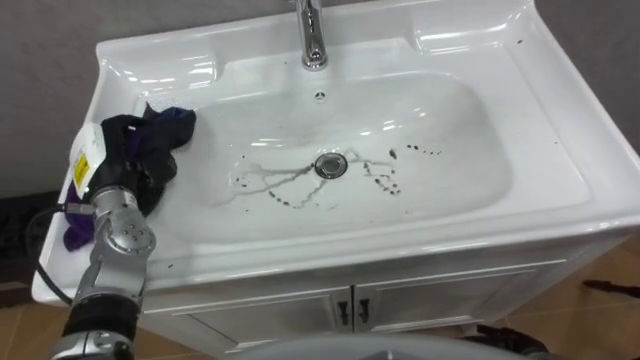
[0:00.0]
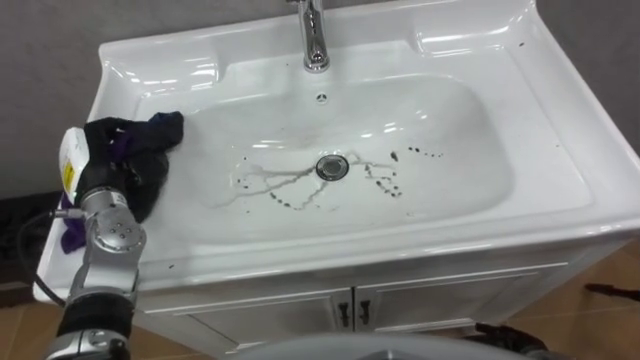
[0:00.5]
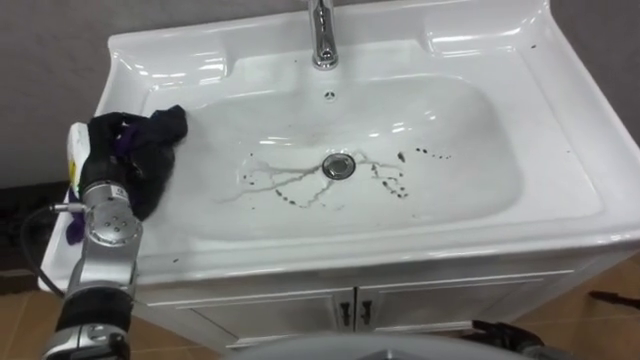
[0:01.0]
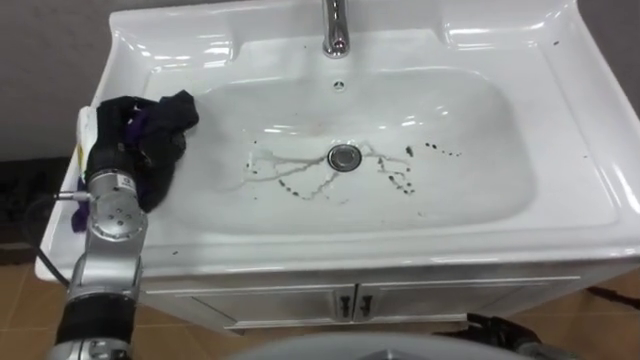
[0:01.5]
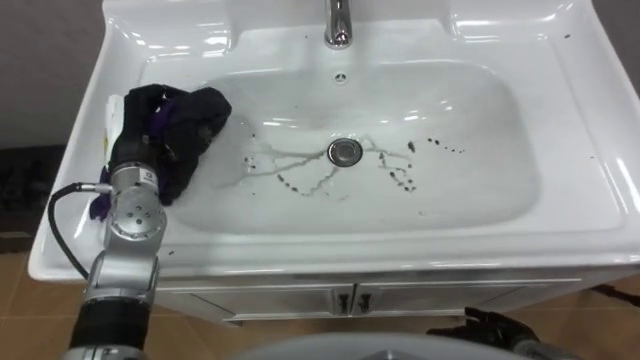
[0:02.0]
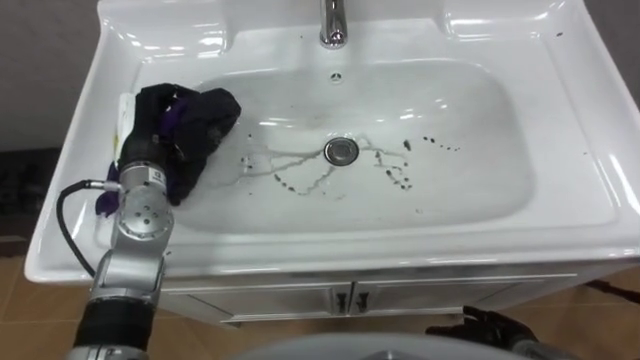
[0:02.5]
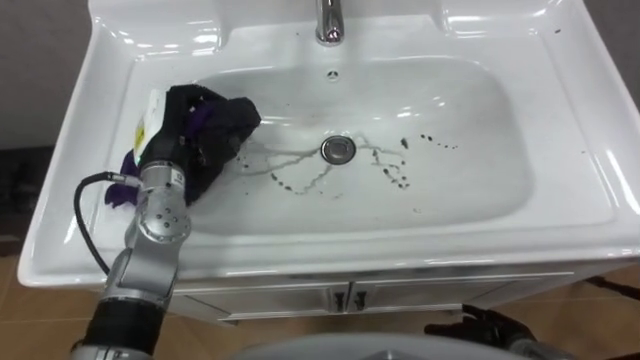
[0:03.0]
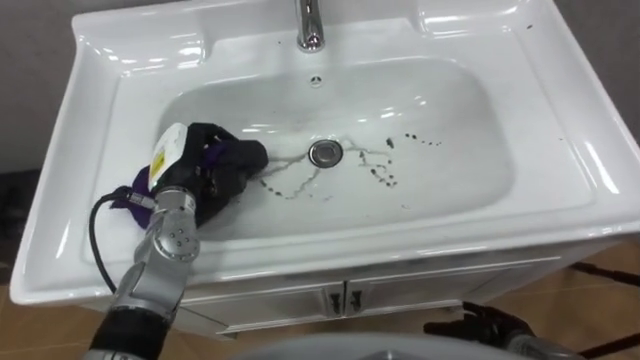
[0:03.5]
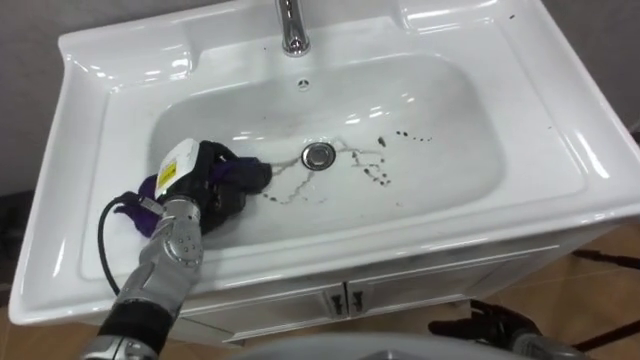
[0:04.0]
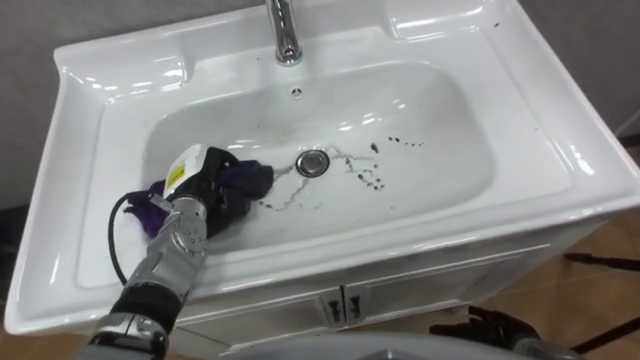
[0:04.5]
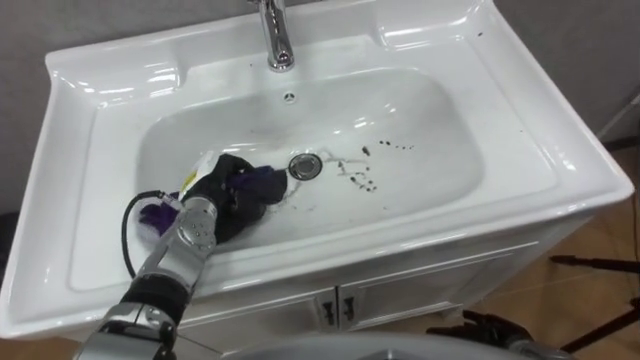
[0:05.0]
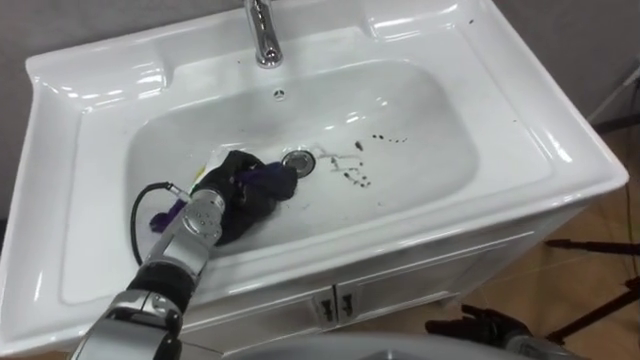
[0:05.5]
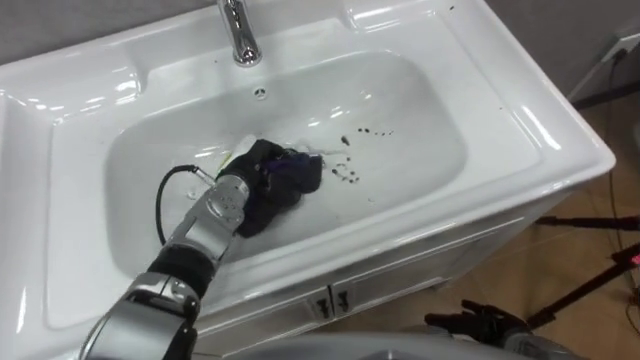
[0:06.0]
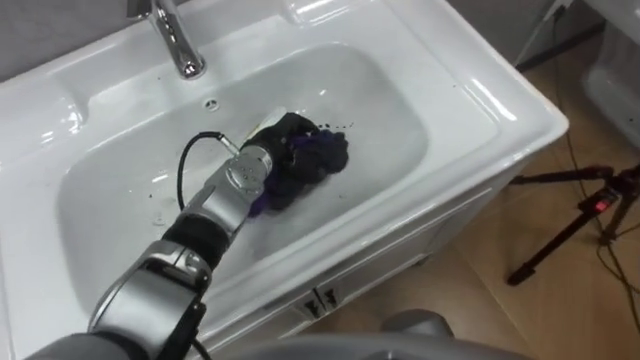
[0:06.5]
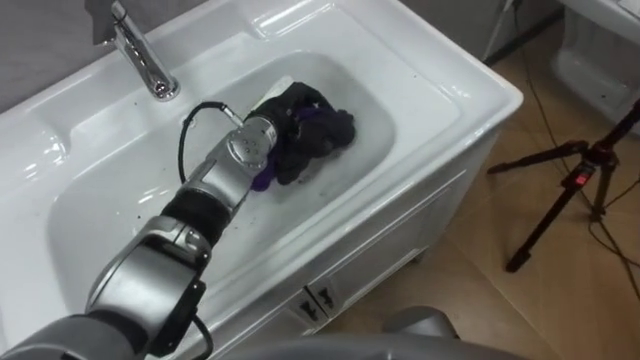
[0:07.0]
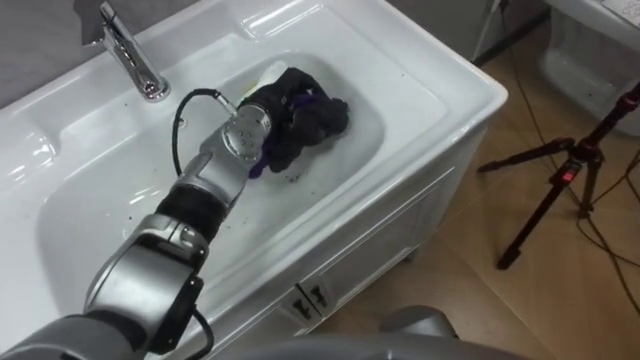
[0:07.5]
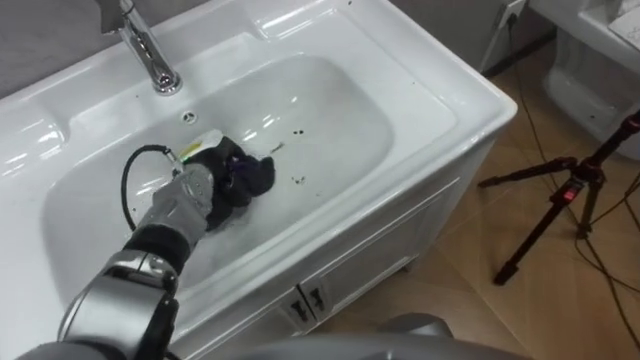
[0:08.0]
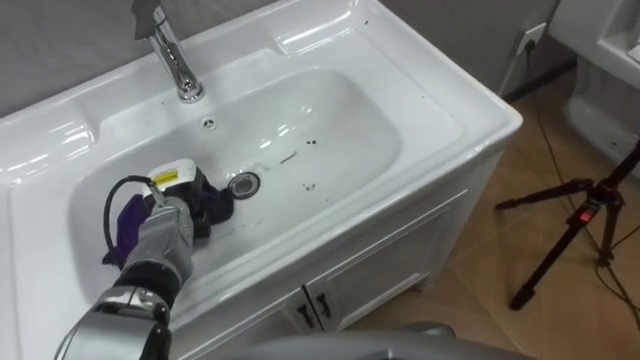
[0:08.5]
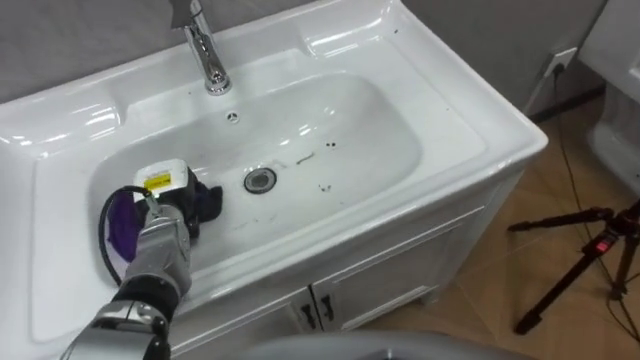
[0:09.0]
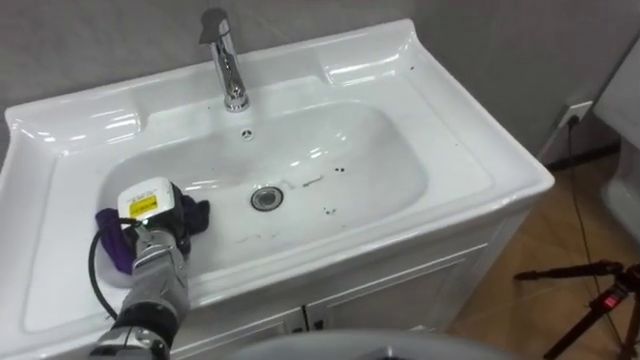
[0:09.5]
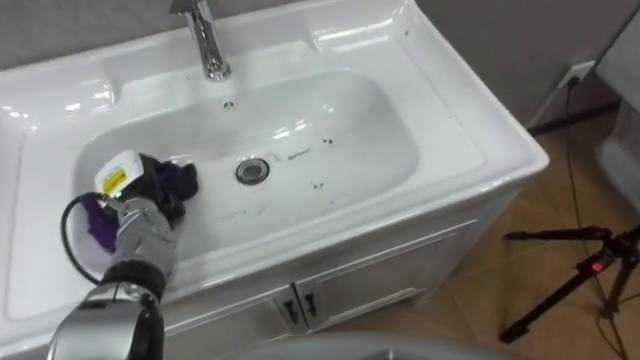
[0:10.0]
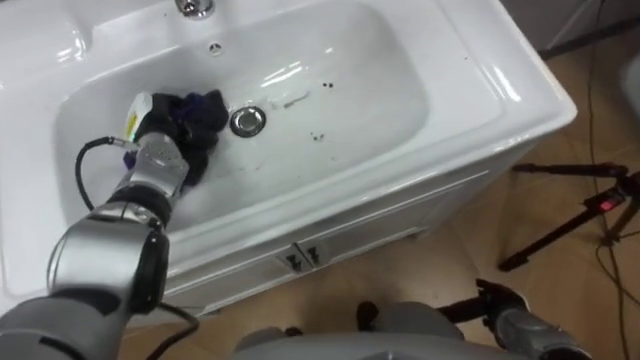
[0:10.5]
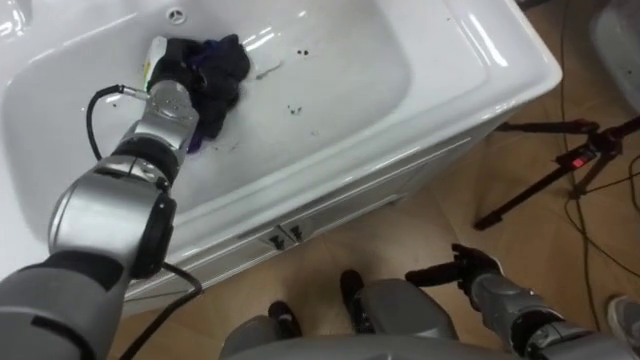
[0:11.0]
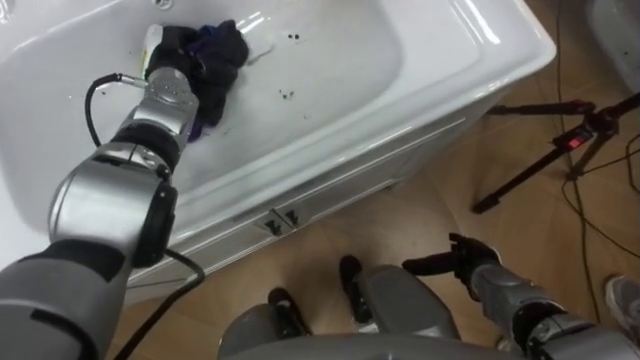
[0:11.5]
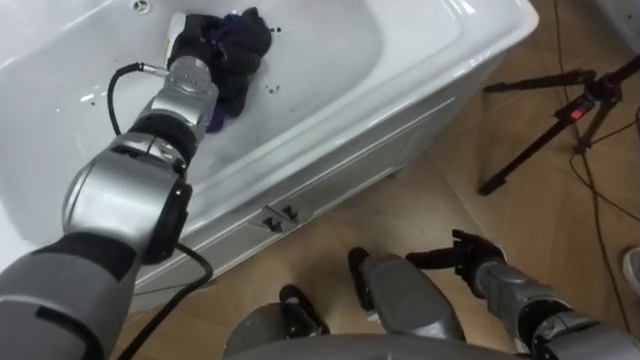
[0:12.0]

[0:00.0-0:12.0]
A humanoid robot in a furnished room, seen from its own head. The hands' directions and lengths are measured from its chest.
Task of the whole recording: Use the cloth on the right to wipe away the black stain in the sink.
0:00.0 to 0:02.0: The left hand shifts by approximately 5 cm.
0:02.0 to 0:04.0: The left hand goes about 5 cm downward.
0:04.0 to 0:06.0: The left hand travels to the right by roughly 10 cm.
0:06.0 to 0:08.0: The left hand travels to the left by approximately 5 cm.
0:08.0 to 0:10.0: The left hand heads to the left and backward, covering approximately 10 cm.
0:10.0 to 0:12.0: The left hand is displaced forward, upward and to the right by some 25 cm.

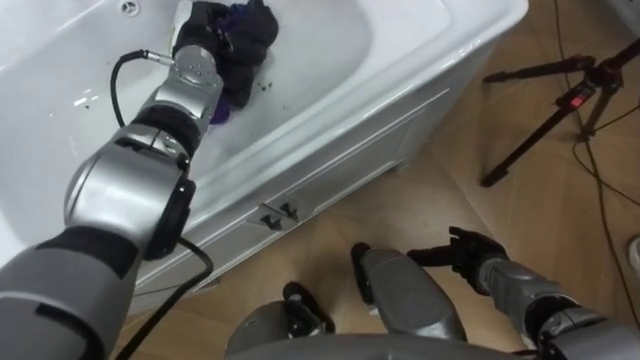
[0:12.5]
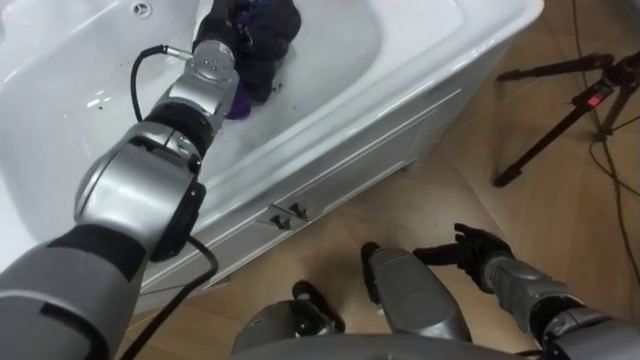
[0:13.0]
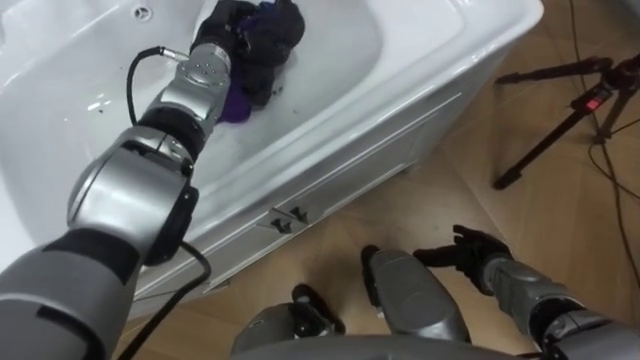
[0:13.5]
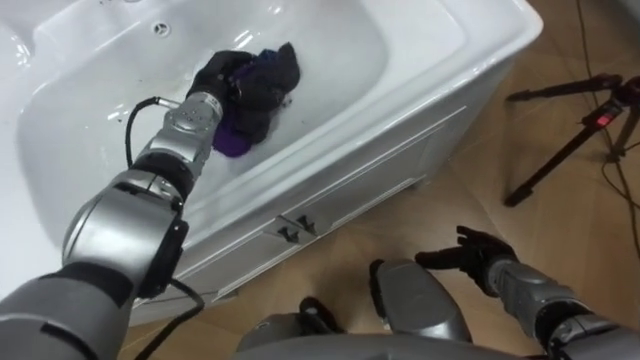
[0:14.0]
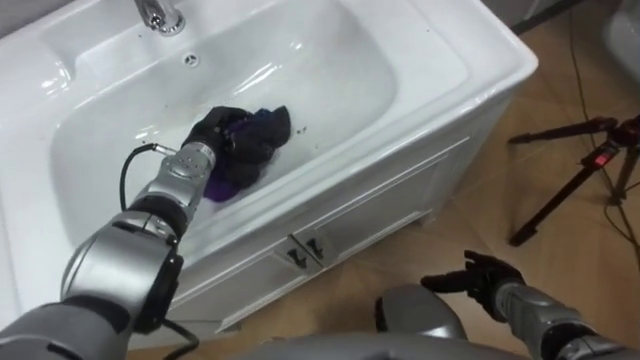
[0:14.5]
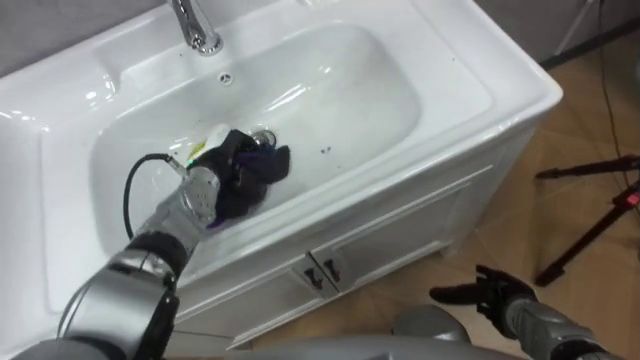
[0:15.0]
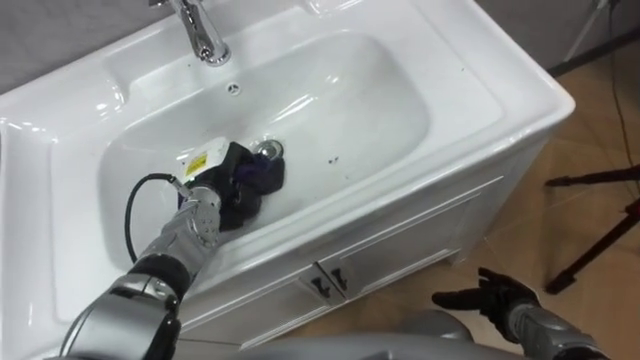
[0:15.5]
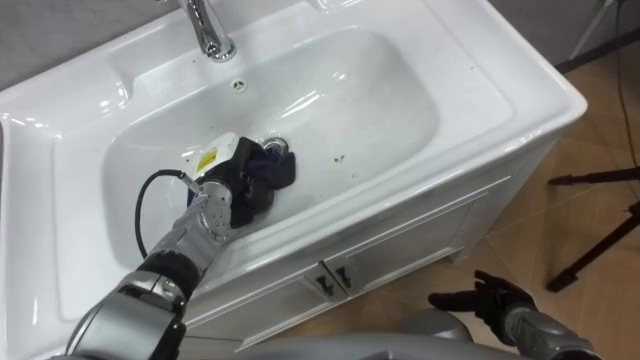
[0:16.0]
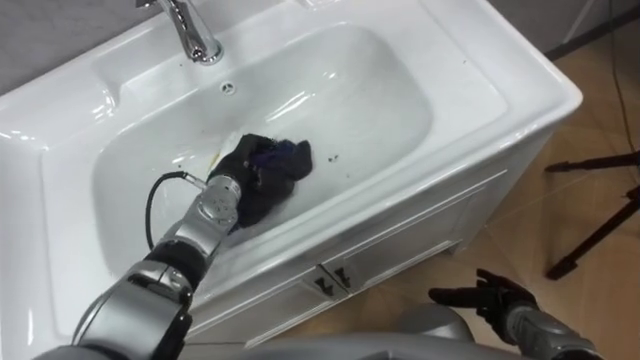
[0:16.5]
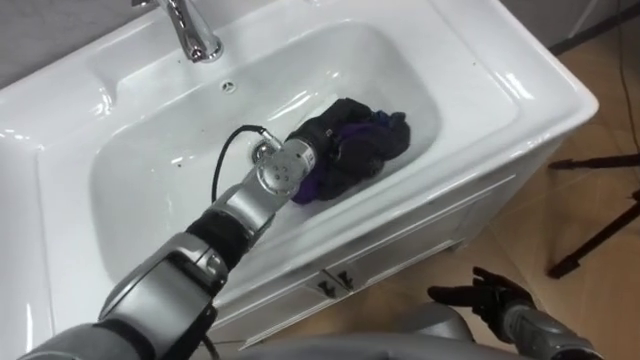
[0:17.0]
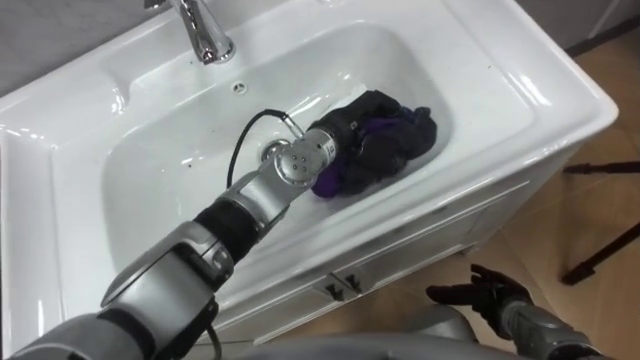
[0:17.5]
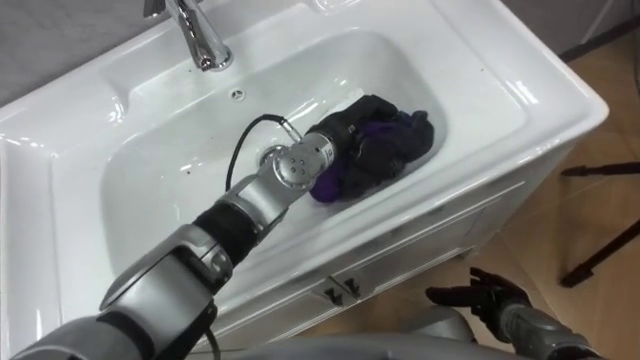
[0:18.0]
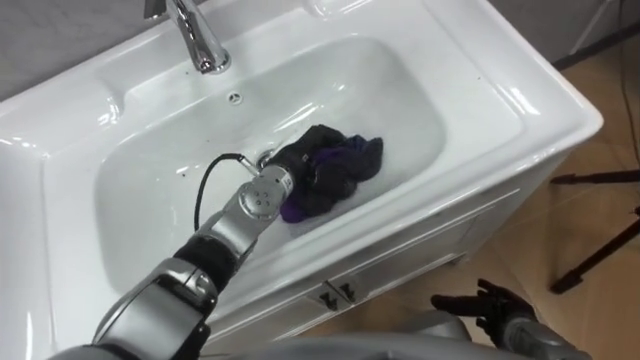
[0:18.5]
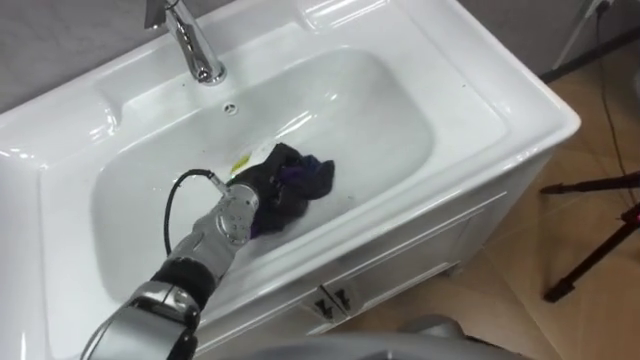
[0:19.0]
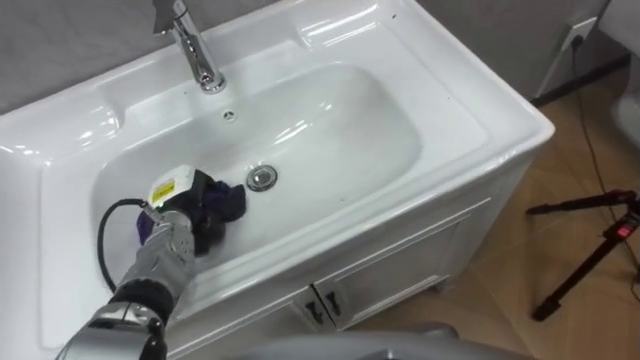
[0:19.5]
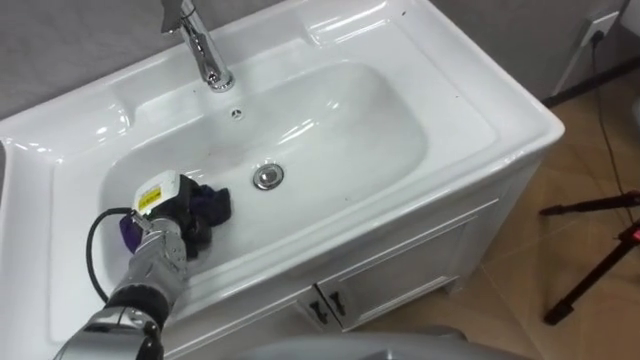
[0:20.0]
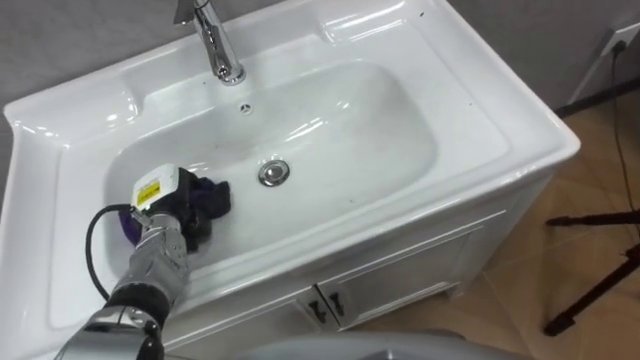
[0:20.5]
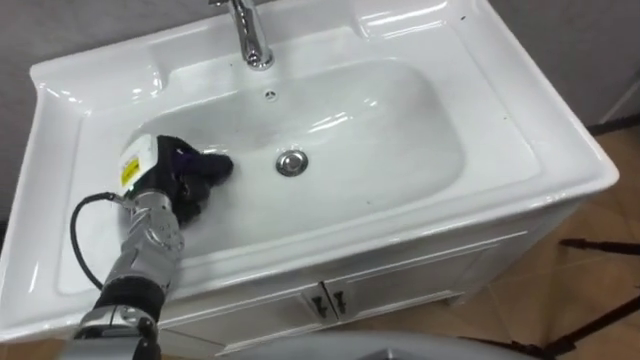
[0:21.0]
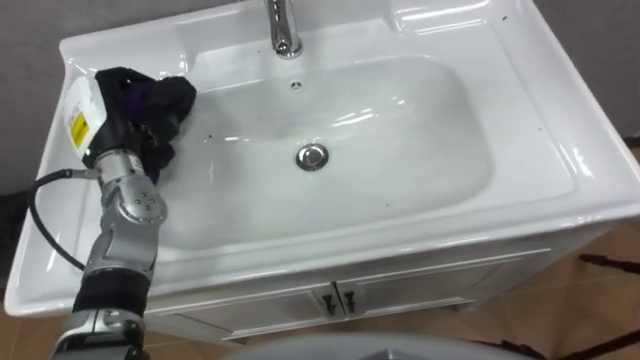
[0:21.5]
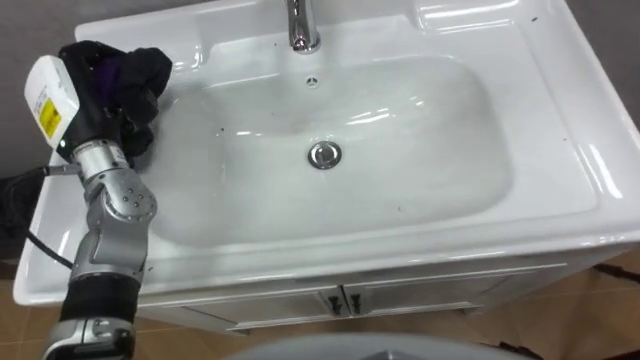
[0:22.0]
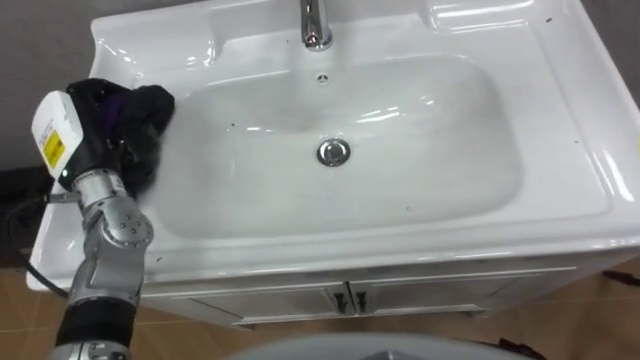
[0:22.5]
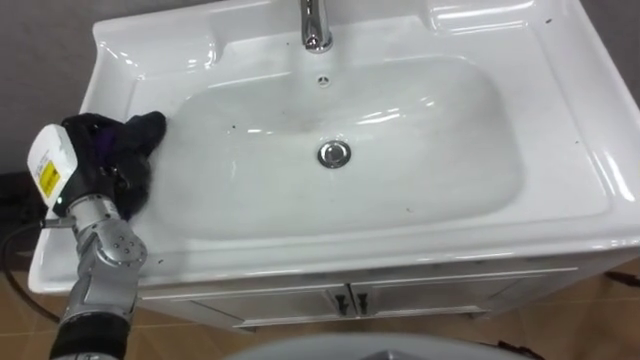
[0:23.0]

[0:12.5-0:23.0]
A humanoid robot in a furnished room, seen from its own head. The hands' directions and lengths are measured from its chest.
Task of the whole recording: Use the cloth on the right to wipe away the black stain in the sink.
0:12.5 to 0:14.5: The left hand travels downward and backward by approximately 15 cm.
0:14.5 to 0:16.5: The left hand shifts by about 5 cm.
0:16.5 to 0:19.0: The left hand reaches some 15 cm to the right, then returns.
0:19.0 to 0:21.0: The left hand moves to the left, about 15 cm.
0:21.0 to 0:23.0: The left hand heads upward and to the left, covering roughly 10 cm.
